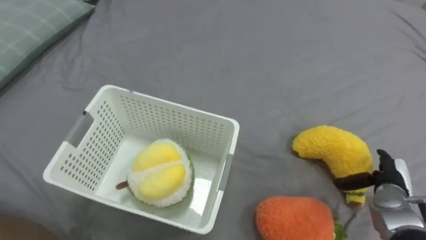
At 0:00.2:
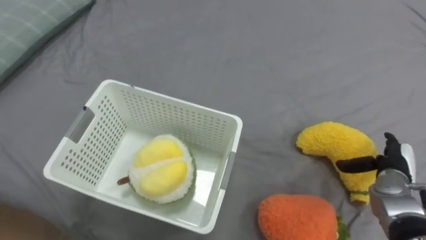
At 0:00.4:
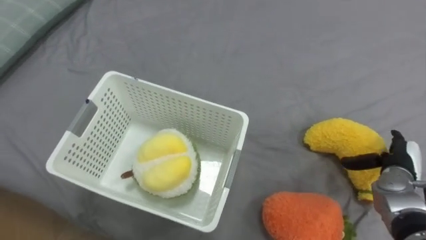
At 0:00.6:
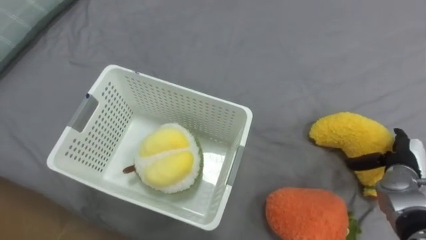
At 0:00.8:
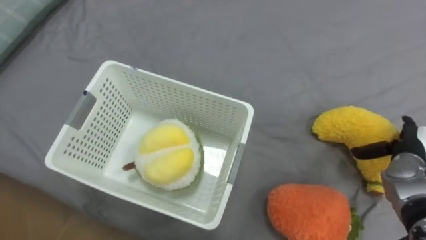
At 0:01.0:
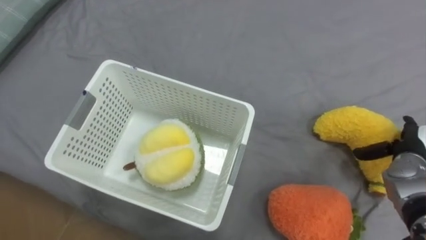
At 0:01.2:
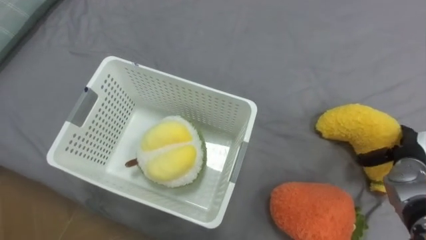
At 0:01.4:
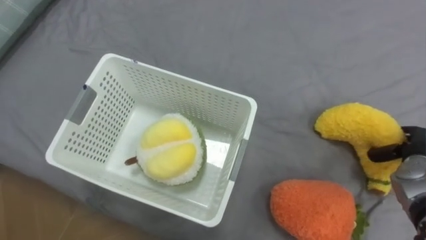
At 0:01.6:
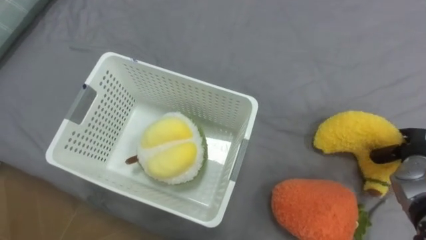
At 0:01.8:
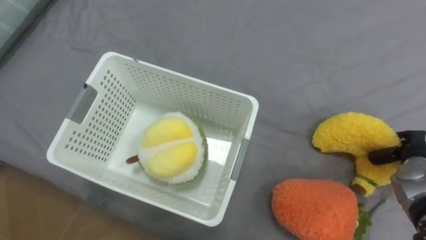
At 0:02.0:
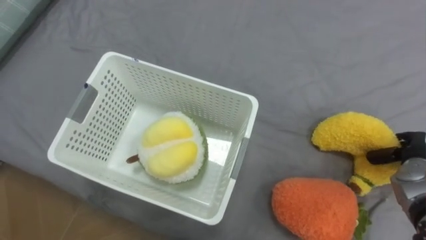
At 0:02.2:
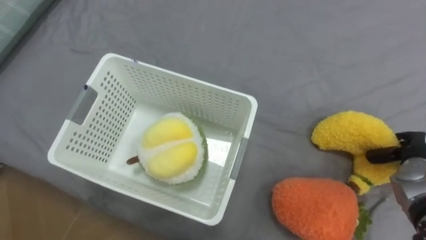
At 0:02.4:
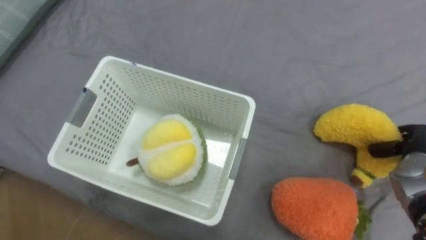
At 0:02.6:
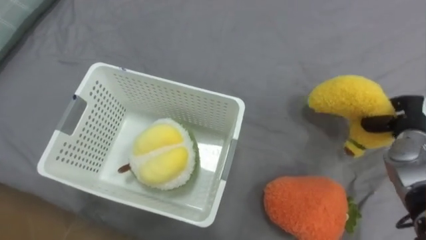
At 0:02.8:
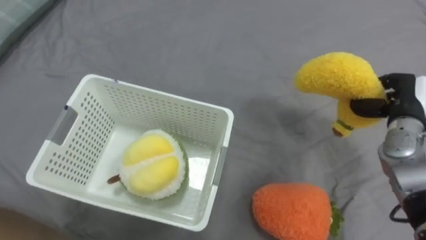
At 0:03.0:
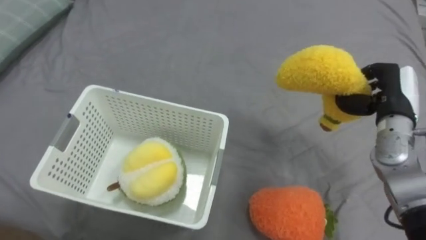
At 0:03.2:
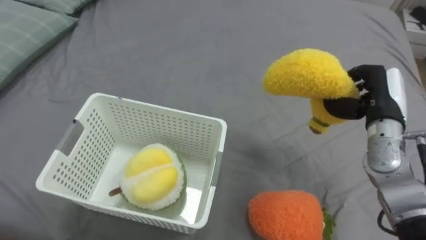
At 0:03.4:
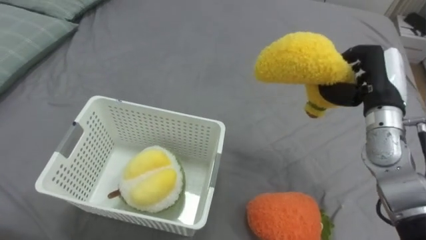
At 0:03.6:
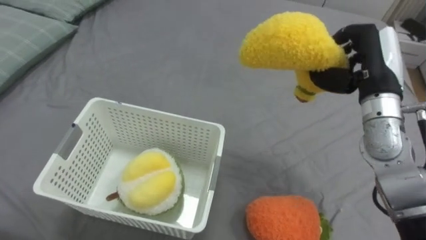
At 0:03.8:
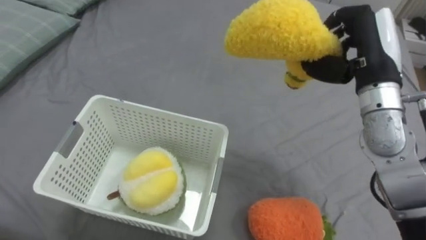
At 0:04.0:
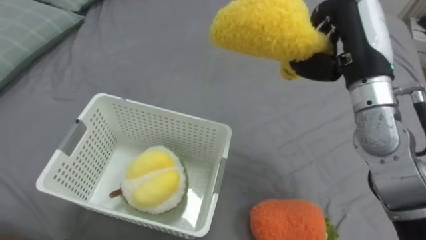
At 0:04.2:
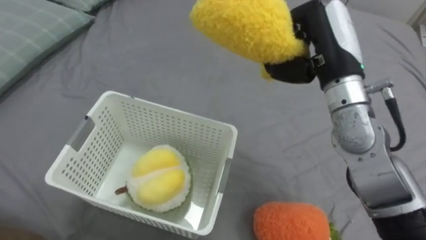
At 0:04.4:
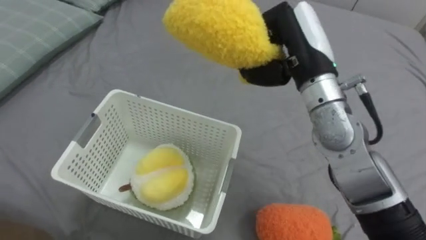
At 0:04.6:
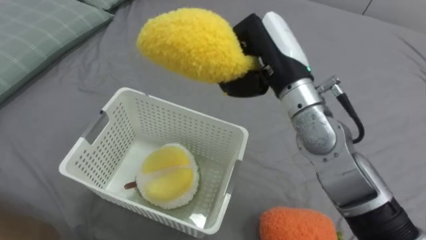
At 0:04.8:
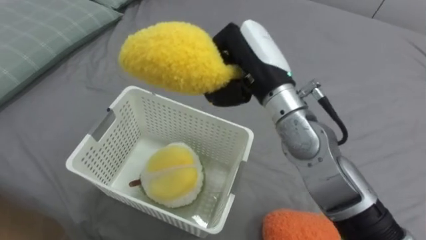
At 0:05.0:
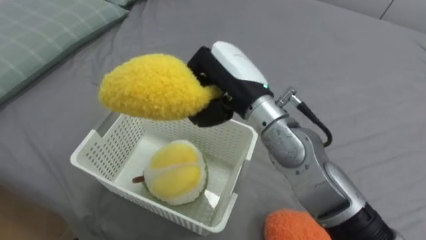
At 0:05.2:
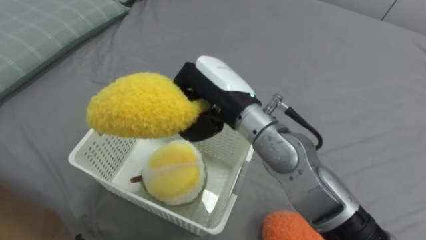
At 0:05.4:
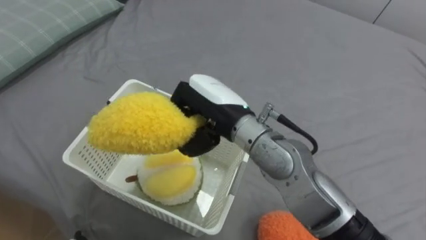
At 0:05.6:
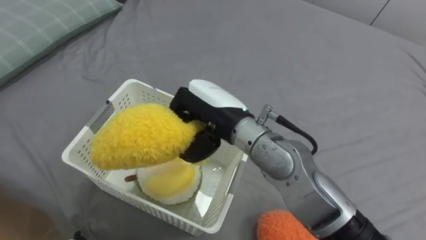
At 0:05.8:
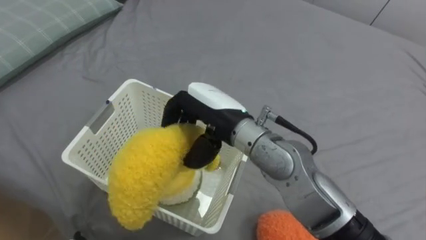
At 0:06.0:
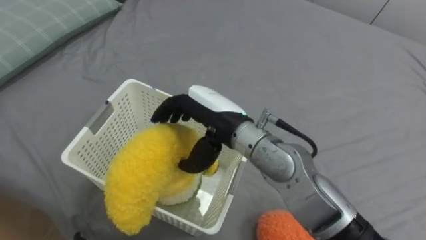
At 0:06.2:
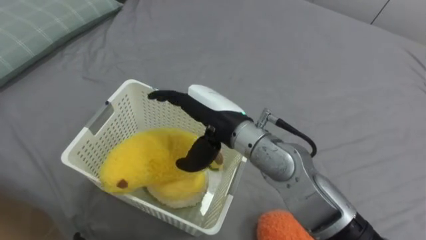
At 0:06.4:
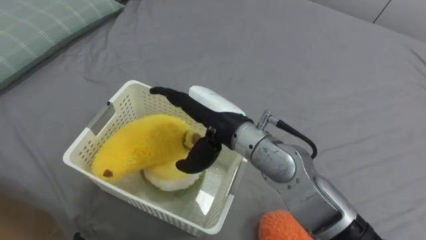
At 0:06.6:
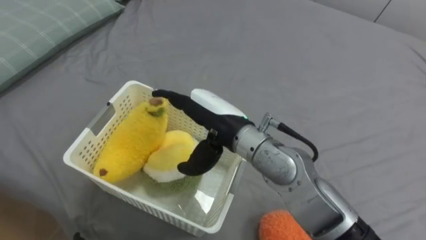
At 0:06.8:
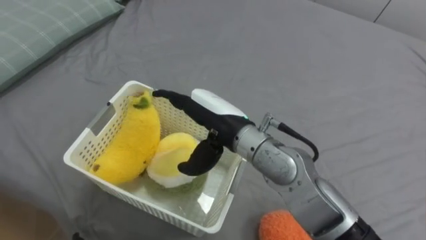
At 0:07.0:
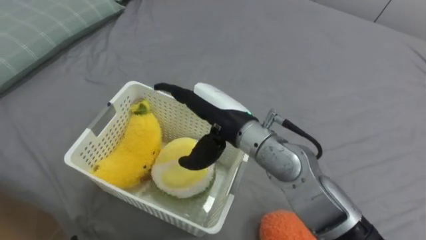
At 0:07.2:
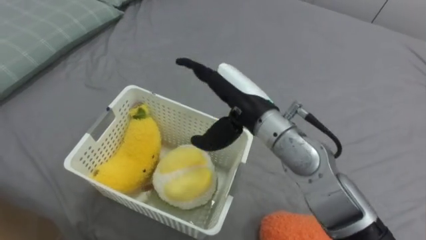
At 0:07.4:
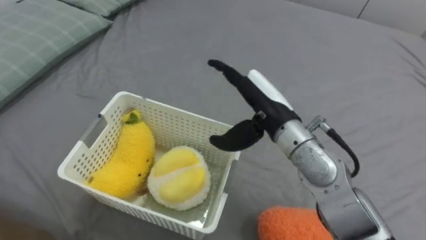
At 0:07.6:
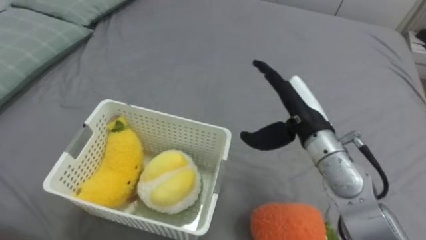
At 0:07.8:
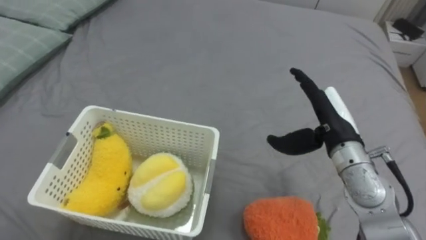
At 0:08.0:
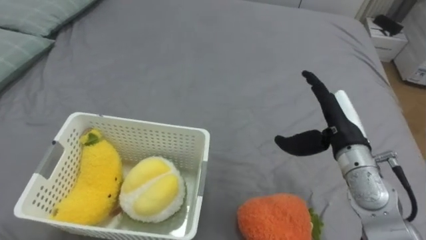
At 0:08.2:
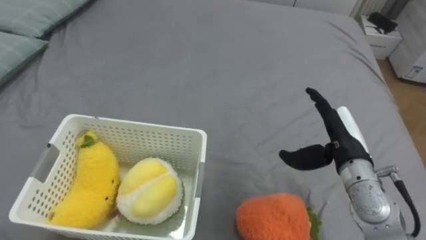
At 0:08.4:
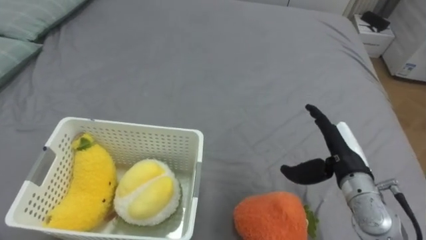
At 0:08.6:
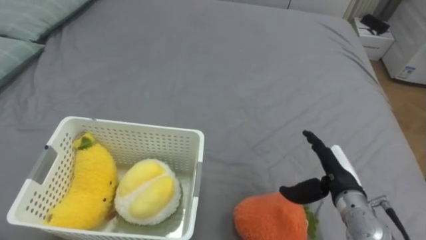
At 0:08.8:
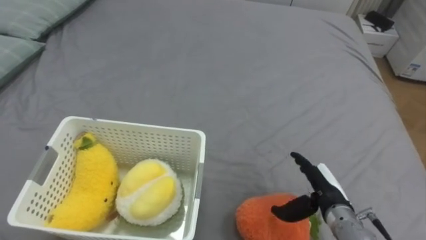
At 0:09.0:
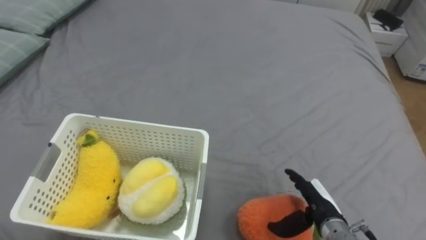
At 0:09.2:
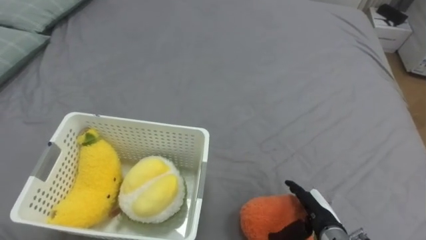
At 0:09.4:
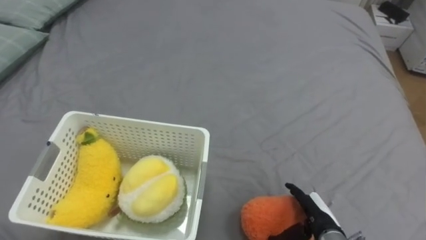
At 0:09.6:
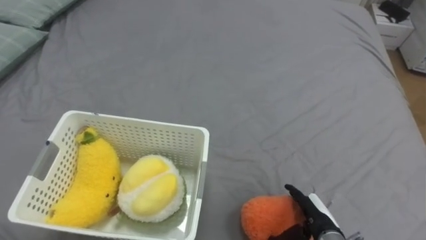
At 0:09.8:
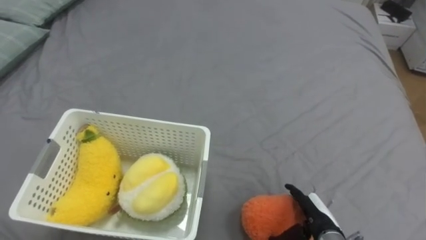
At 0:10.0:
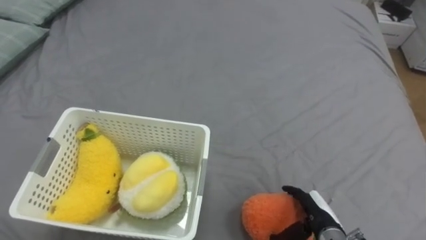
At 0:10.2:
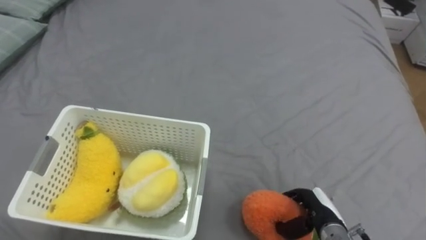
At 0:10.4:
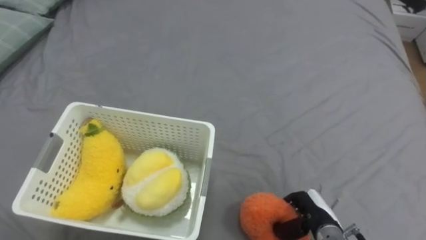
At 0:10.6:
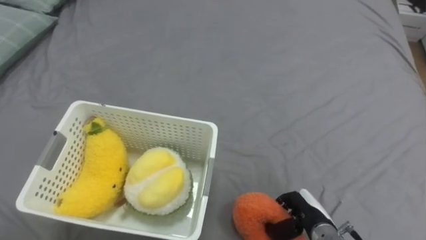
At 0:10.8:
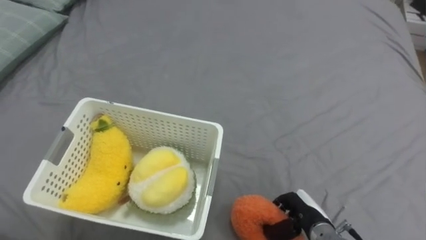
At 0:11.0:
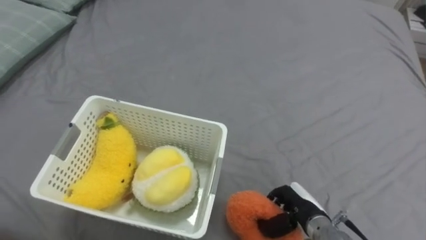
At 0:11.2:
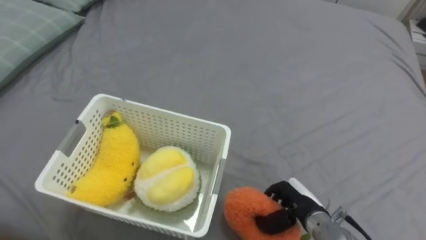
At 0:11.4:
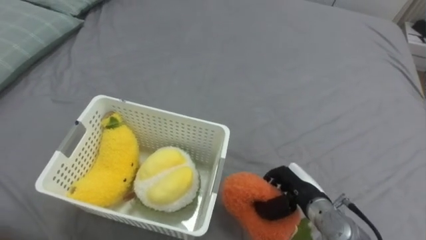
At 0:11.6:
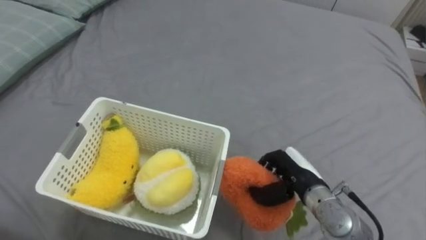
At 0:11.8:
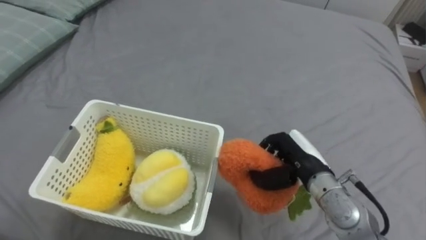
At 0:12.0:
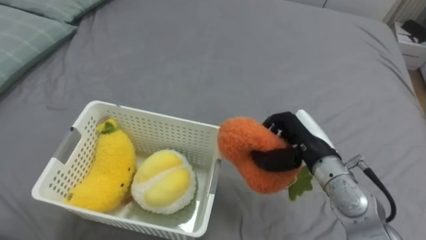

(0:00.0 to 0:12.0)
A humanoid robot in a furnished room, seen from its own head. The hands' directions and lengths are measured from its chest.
Task of the whole recording: Put the toys on the bed into the basket on the left.
0:00.0 - 0:01.6: The right hand moves upward, roughly 5 cm, and closes its fingers.
0:01.6 - 0:03.0: The right hand heads upward, to the left and forward, covering roughly 15 cm.
0:03.0 - 0:04.4: The right hand goes approximately 20 cm to the left and upward.
0:04.4 - 0:06.0: The right hand shifts some 15 cm to the left, downward and backward, and opens up.
0:06.0 - 0:07.6: The right hand travels to the right by about 15 cm.
0:07.6 - 0:09.0: The right hand shifts about 20 cm downward and backward.
0:09.0 - 0:10.4: The right hand closes its fingers.
0:10.4 - 0:12.0: The right hand is displaced upward and forward by some 20 cm.

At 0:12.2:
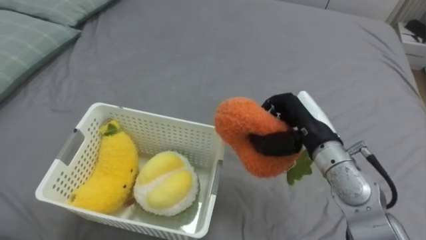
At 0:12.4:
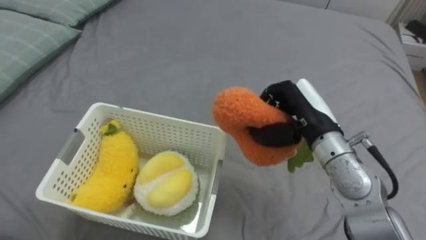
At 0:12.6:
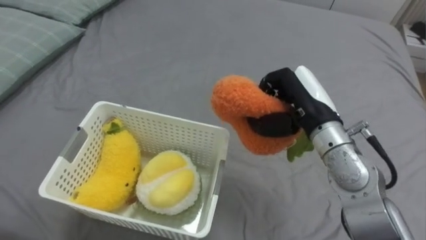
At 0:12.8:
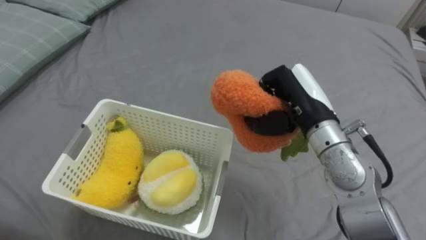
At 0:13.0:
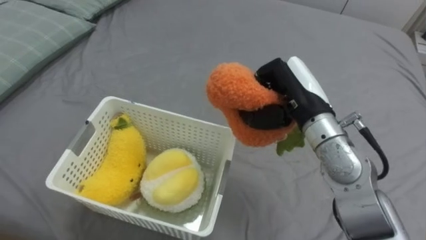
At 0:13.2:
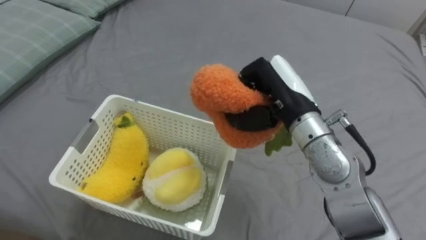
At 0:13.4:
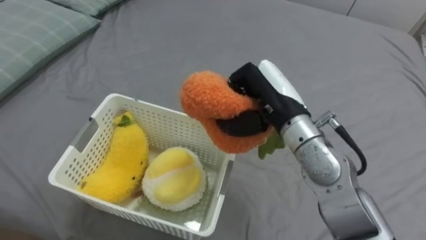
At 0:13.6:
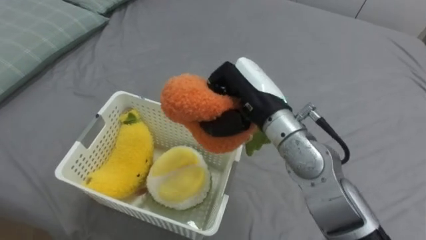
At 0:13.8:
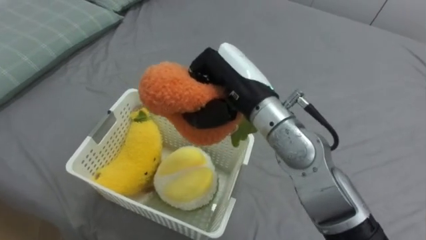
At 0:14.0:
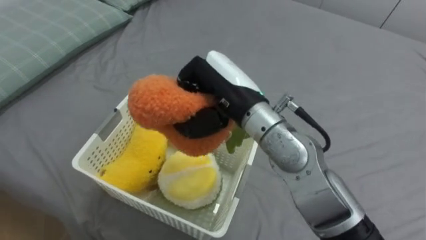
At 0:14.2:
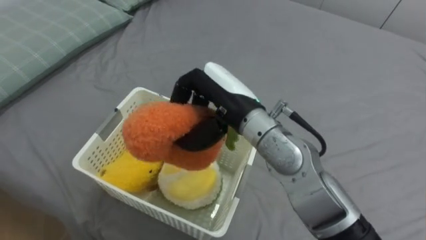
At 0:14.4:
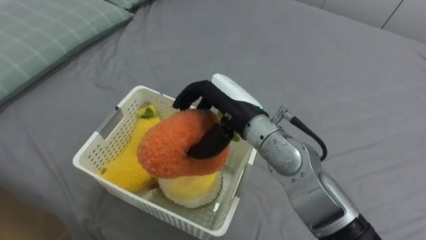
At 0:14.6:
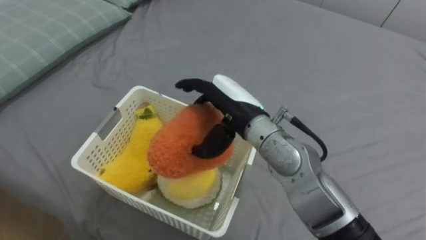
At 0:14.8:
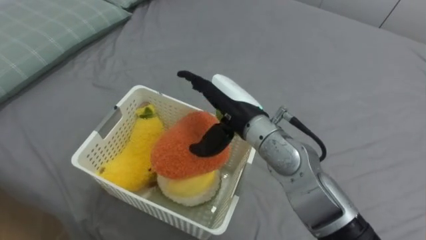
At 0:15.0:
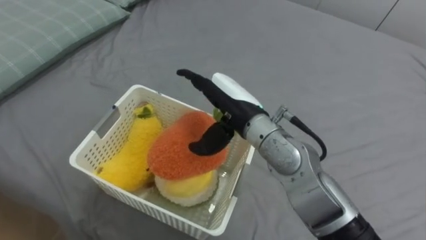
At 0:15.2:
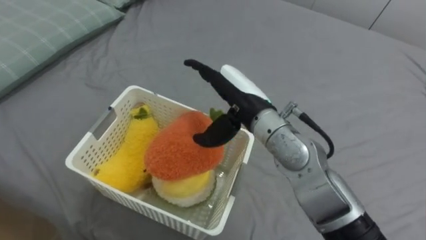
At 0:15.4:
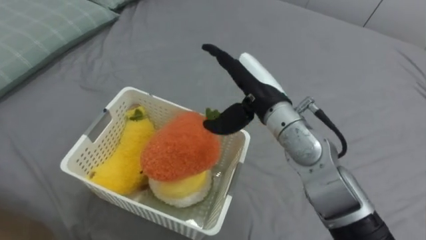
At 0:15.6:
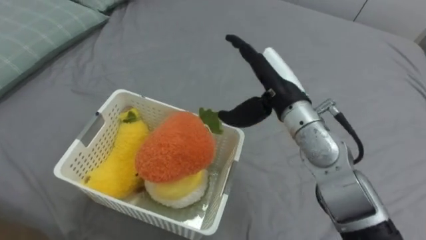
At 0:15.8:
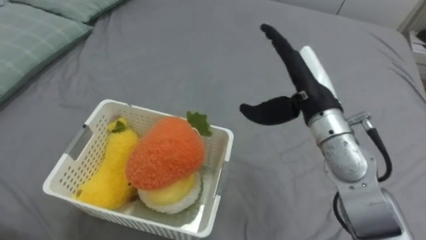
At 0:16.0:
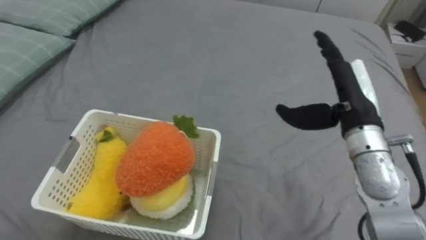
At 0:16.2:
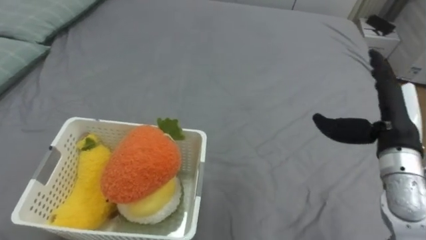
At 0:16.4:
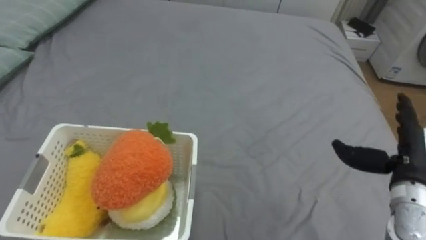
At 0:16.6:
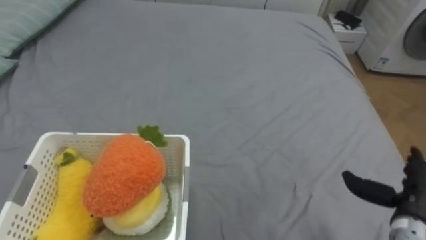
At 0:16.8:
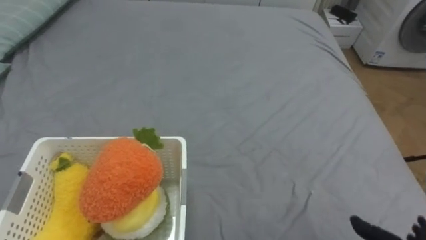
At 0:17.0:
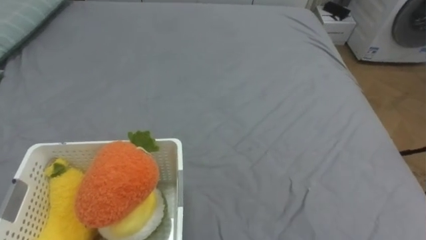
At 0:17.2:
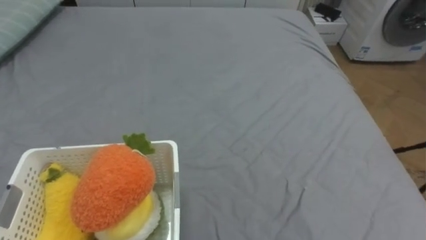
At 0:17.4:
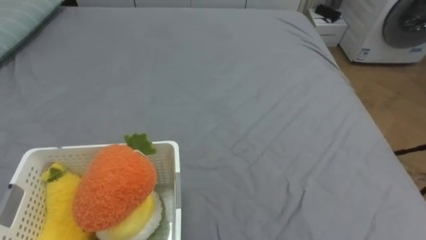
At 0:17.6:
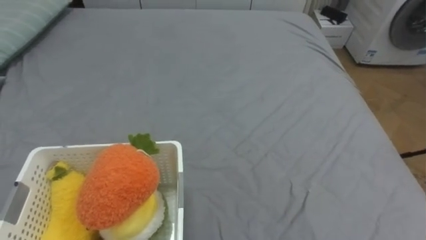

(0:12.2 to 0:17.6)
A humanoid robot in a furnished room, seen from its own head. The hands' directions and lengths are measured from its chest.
Task of the whole recording: Put the toys on the bed into the basket on the left.
0:12.2 - 0:13.6: The right hand goes some 10 cm to the left and upward.
0:13.6 - 0:15.0: The right hand opens its fingers.
0:15.0 - 0:16.2: The right hand moves to the right, approximately 25 cm.
